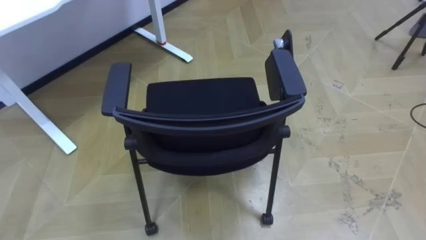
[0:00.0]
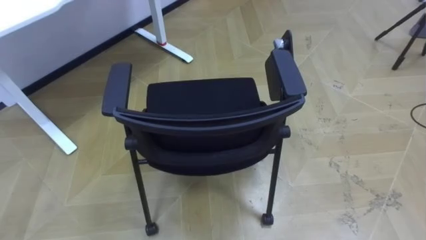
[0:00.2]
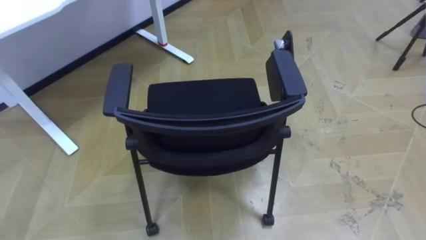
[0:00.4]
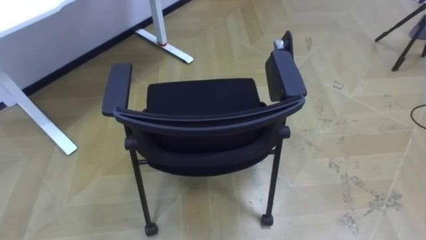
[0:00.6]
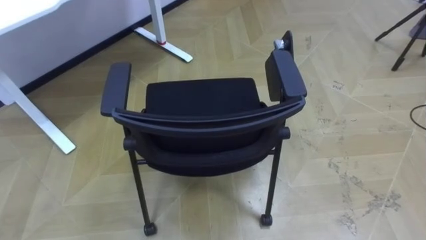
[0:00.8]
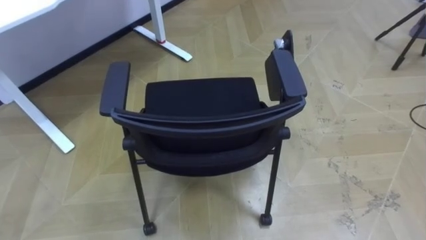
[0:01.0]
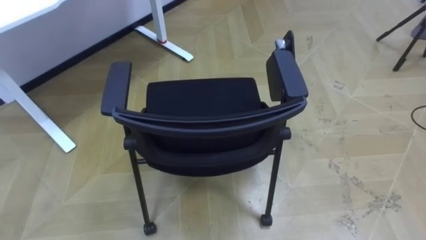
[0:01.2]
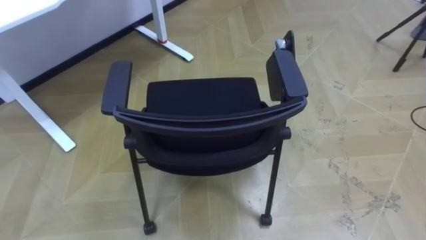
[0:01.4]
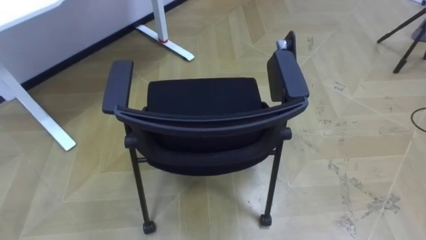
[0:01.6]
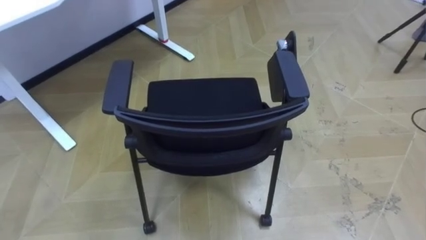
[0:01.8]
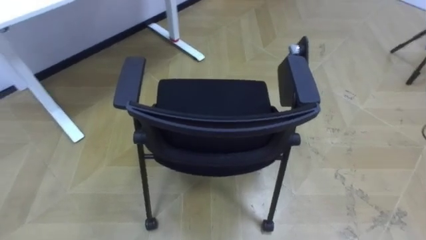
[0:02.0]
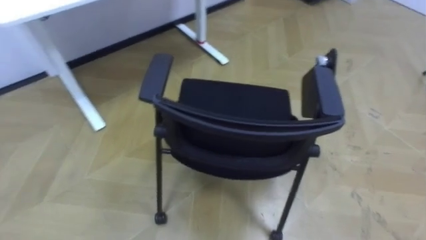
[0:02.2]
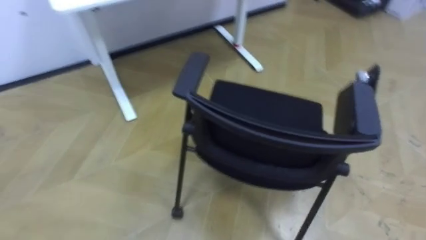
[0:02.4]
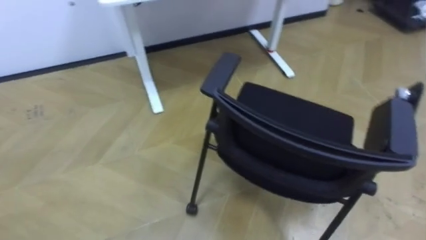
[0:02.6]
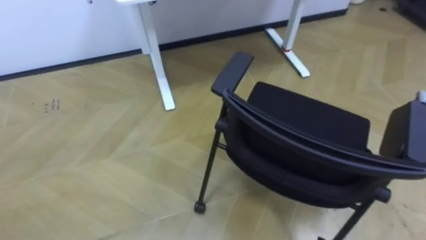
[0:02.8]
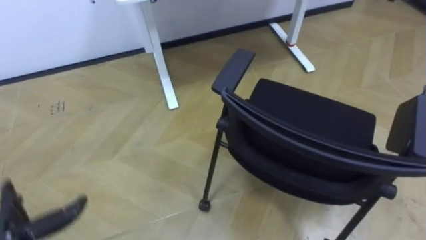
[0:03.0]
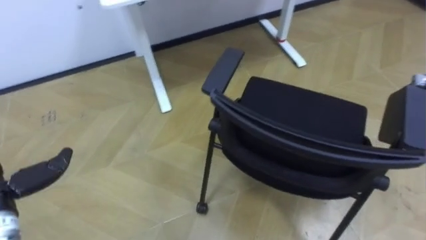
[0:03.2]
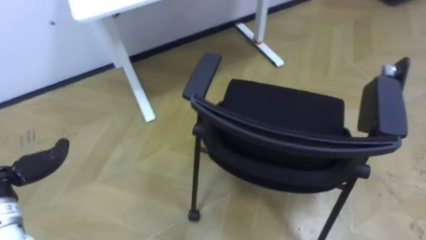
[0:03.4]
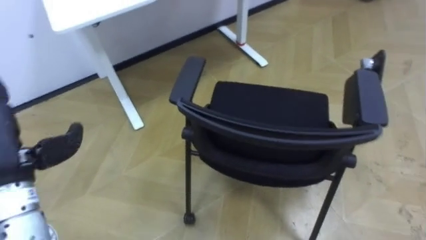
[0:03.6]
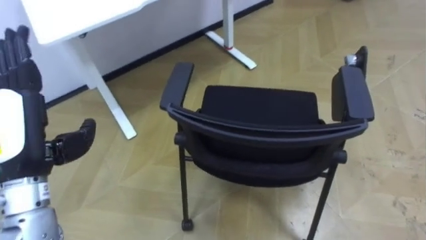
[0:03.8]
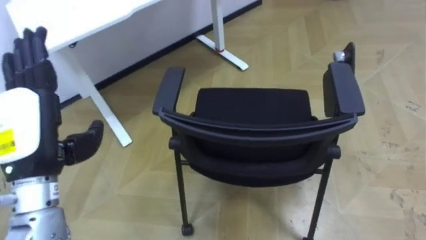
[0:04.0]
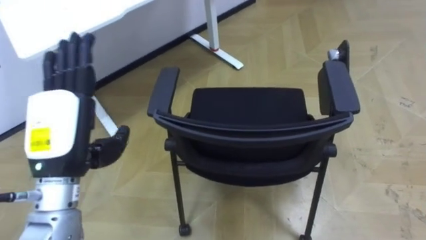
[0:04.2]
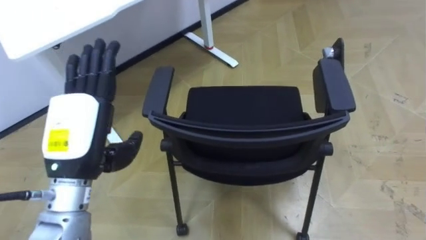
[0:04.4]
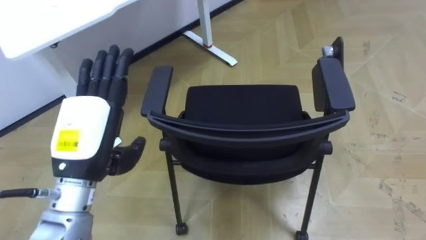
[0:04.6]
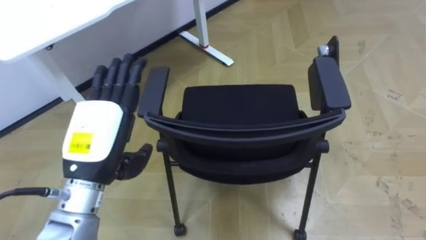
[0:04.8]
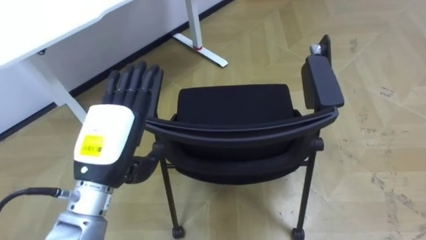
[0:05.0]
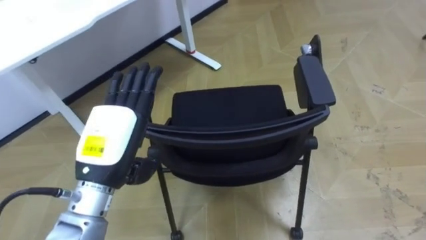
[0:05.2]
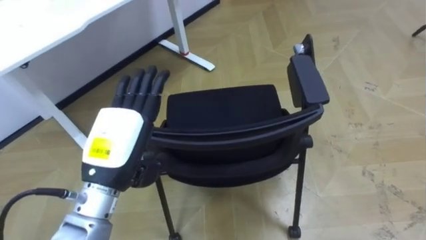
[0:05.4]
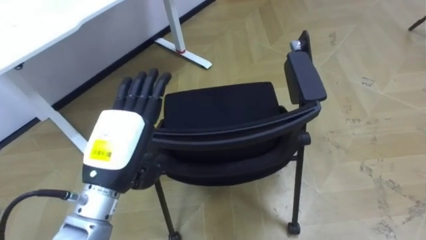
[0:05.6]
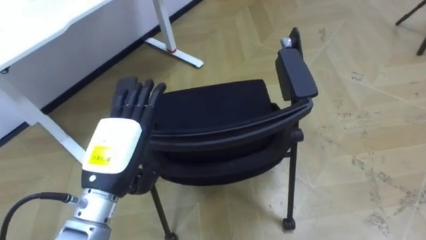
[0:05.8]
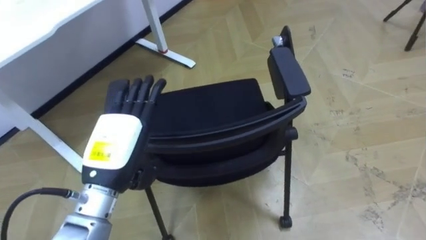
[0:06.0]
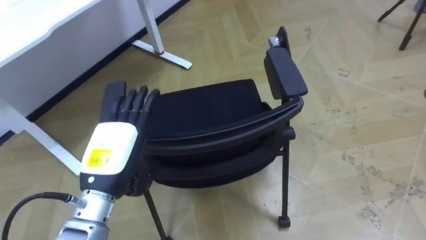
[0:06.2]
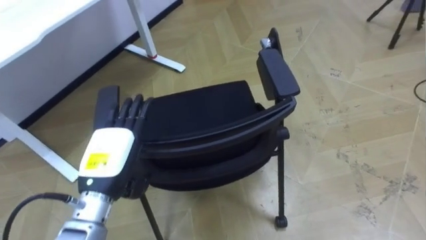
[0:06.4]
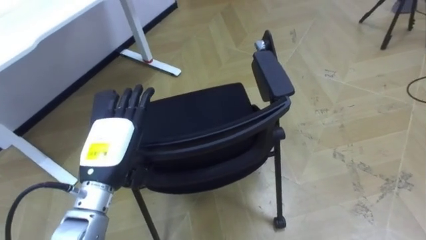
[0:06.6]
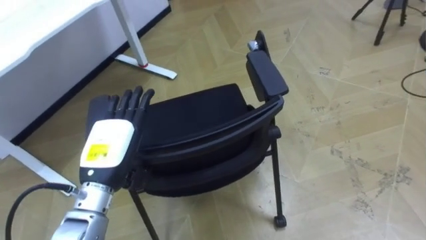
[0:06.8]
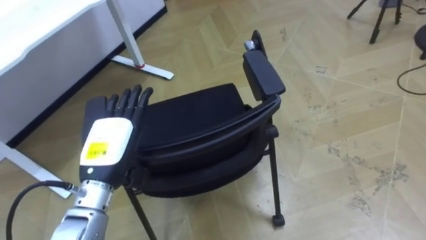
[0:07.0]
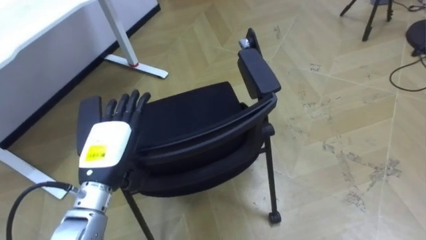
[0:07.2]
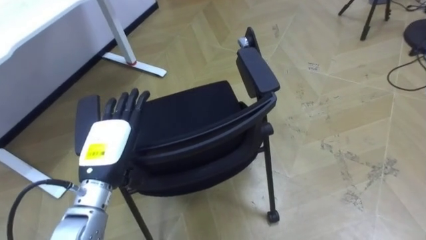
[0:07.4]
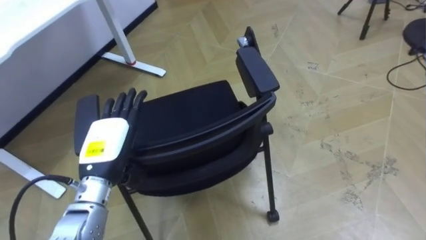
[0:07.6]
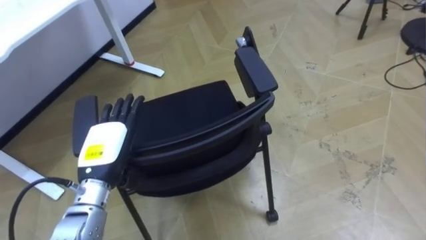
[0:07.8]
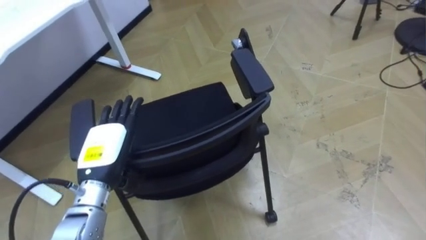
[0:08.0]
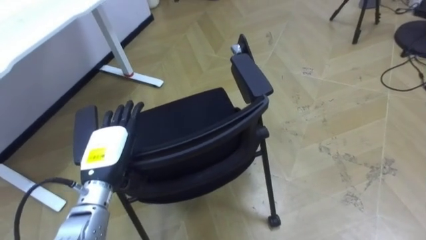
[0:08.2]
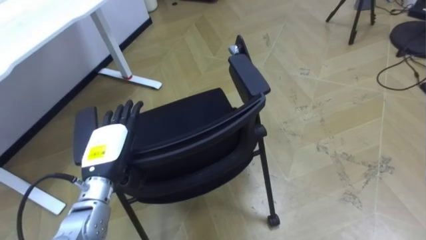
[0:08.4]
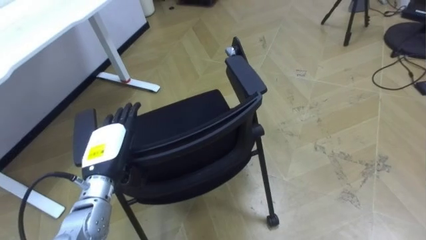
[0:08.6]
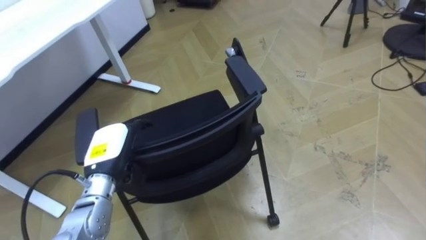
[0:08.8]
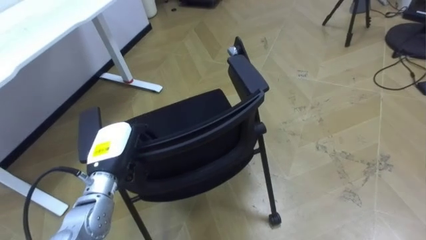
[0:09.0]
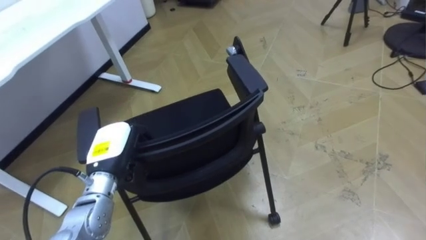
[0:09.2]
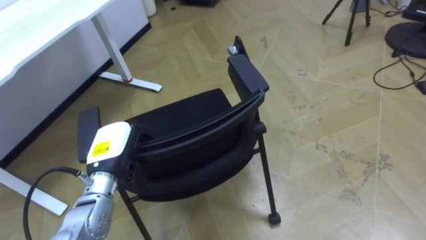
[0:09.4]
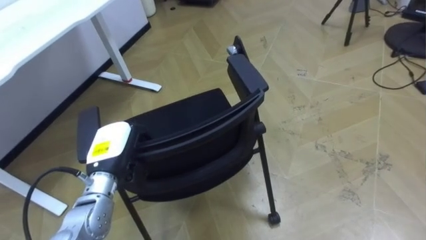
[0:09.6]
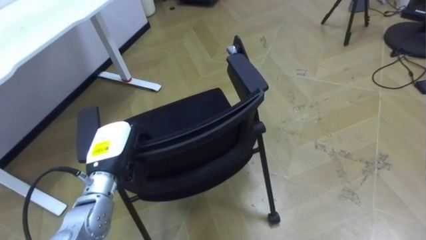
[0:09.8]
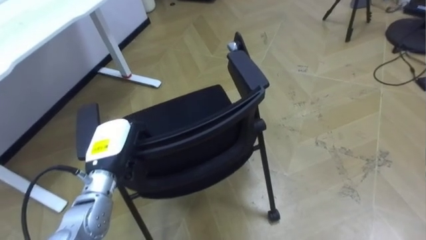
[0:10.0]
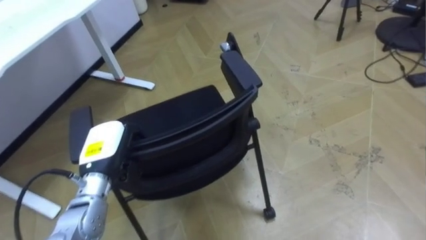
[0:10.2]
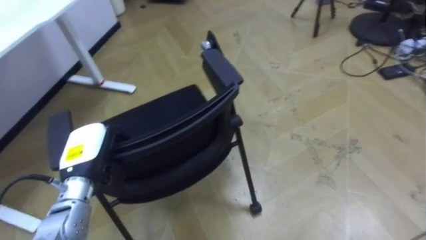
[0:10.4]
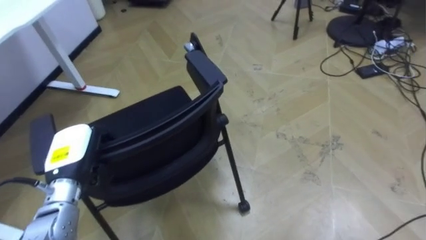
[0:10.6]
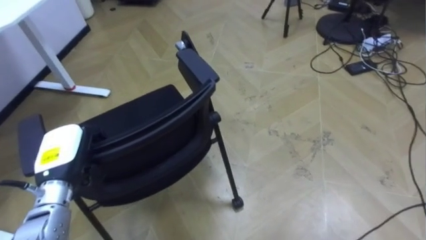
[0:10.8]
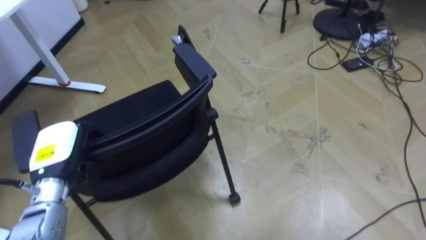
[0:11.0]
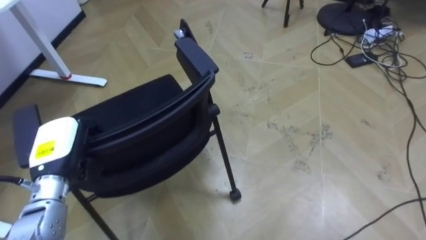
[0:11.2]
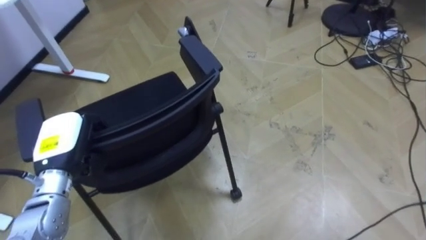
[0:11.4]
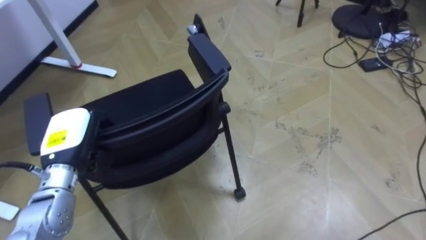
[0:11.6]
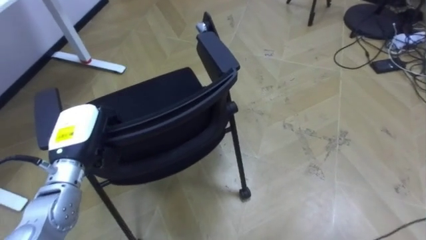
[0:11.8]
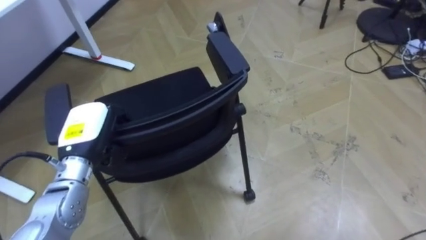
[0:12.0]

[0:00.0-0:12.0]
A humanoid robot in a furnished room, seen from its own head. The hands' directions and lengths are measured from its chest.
Task of the whole recording: Push the chair under the table.
0:04.4 to 0:06.0: The left hand shifts by approximately 5 cm.
0:06.0 to 0:07.6: The left hand is displaced downward by some 5 cm.
0:07.6 to 0:09.0: The left hand closes.

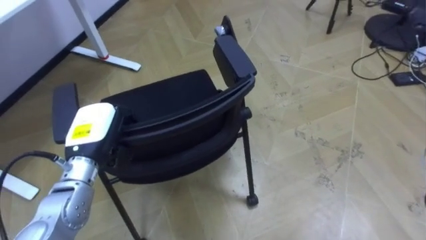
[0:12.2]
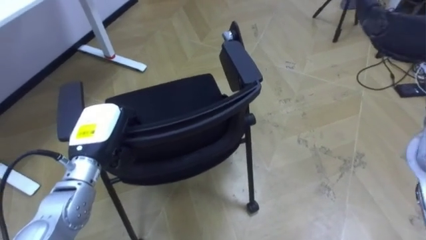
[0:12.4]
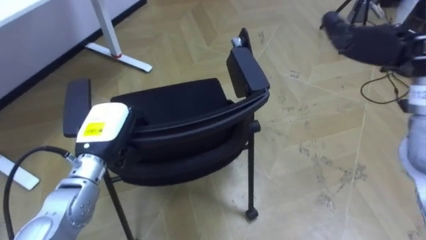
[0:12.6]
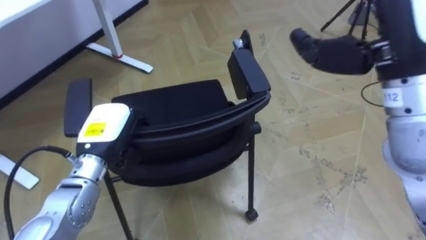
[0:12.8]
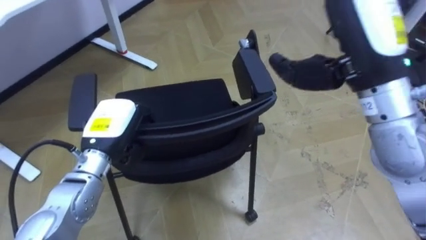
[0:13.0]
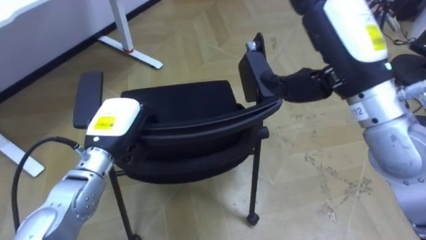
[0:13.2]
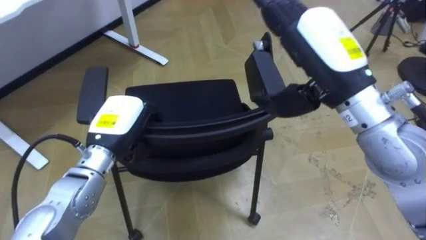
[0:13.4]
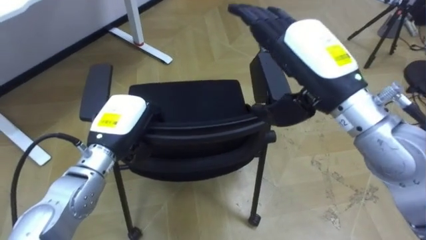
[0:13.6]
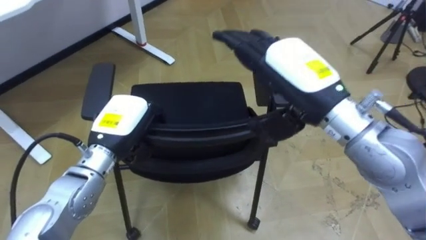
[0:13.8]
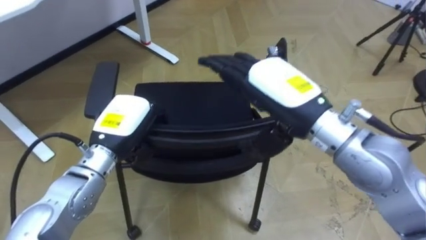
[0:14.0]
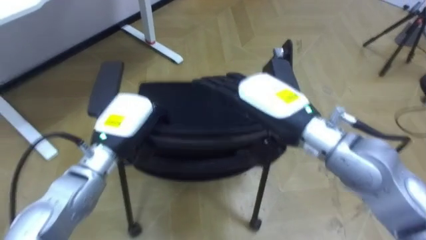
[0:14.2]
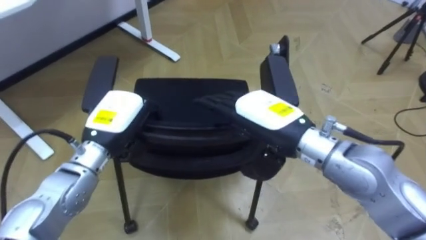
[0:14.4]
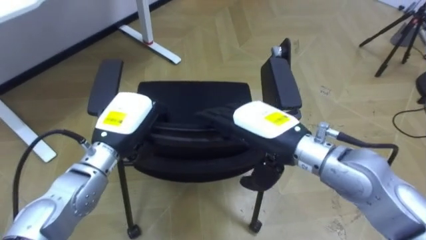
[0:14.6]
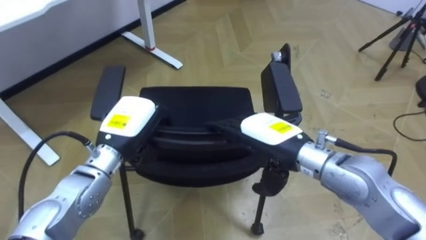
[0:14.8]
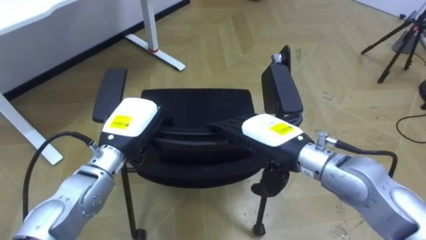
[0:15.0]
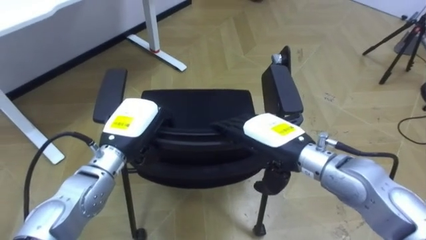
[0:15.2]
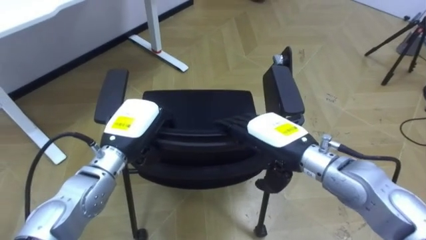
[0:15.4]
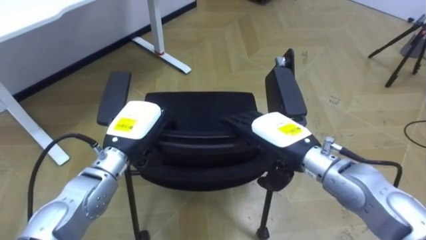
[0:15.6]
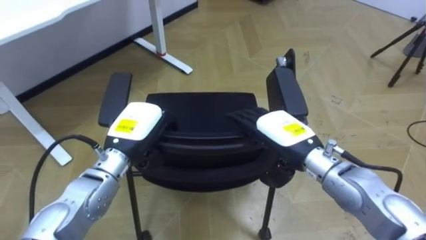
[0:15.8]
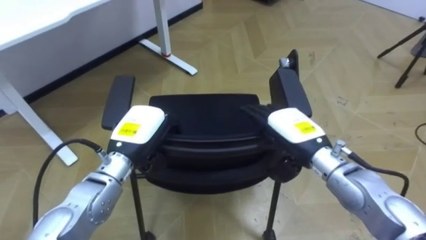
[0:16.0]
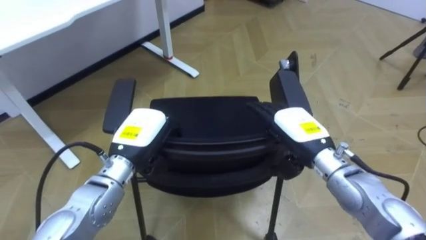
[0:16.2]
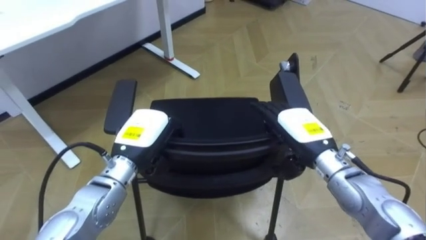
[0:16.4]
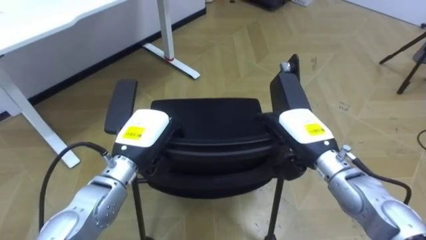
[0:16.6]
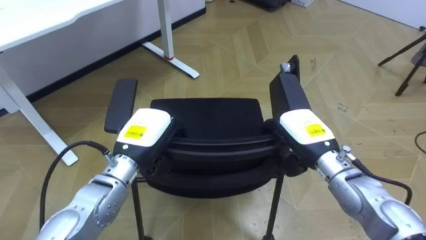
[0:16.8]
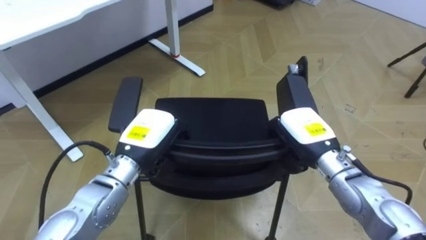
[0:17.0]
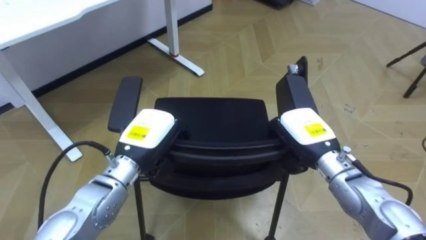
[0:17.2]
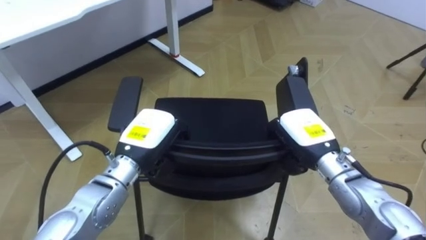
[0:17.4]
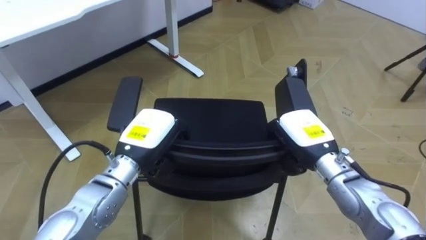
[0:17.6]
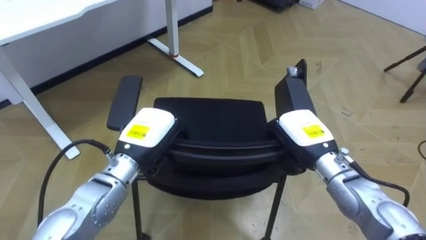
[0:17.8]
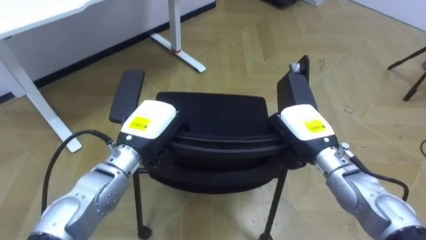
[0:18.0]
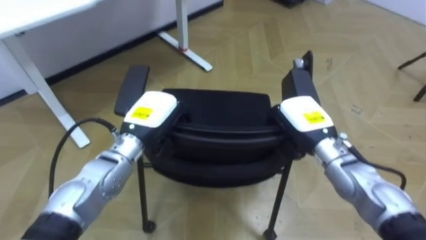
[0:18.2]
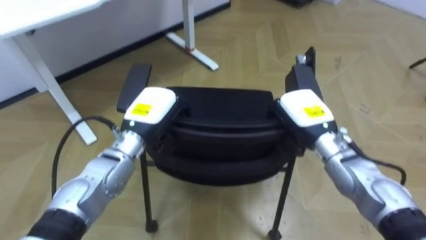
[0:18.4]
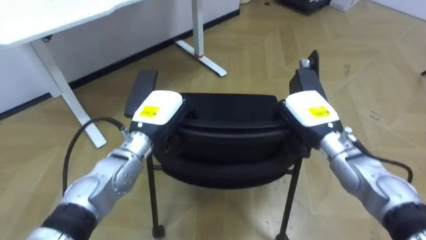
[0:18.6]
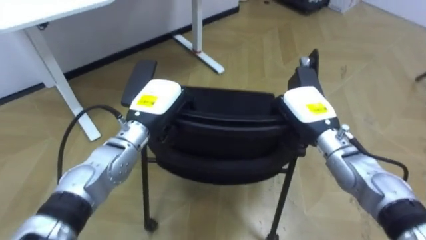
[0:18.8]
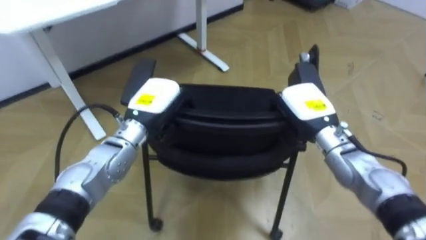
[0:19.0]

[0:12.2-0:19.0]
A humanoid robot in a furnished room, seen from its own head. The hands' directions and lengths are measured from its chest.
Task of the whole recording: Push the chair under the table.
0:12.2 to 0:13.6: The left hand ends up approximately 5 cm from where it was.
0:13.6 to 0:15.0: The right hand shifts some 15 cm downward.
0:15.0 to 0:16.2: The right hand is displaced to the right by roughly 5 cm.
0:16.2 to 0:17.6: The right hand closes its fingers.
0:17.6 to 0:19.0: The left hand is displaced forward by approximately 5 cm.
